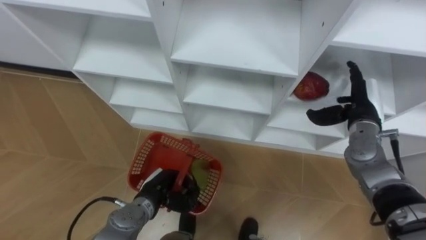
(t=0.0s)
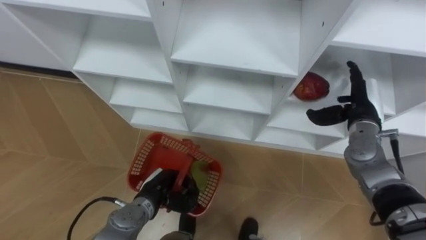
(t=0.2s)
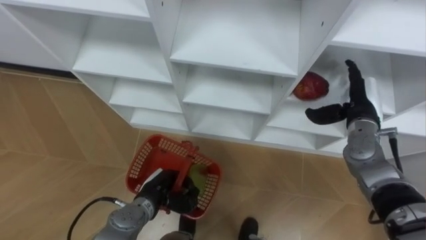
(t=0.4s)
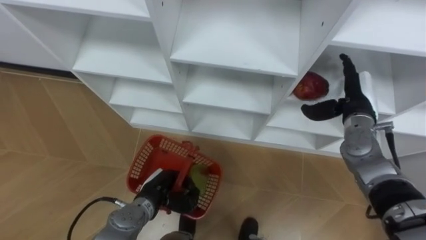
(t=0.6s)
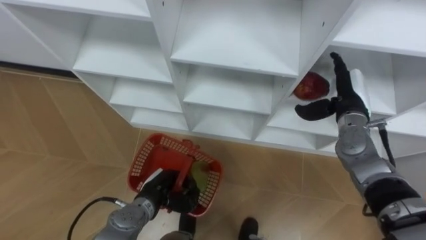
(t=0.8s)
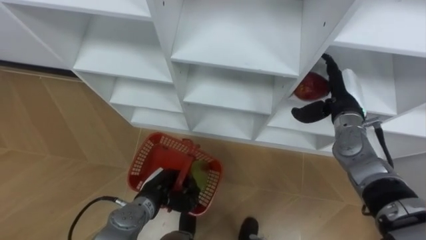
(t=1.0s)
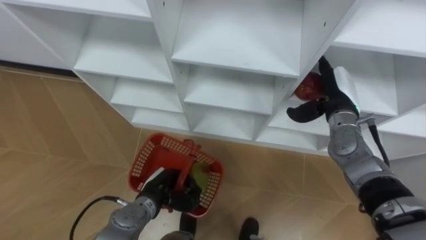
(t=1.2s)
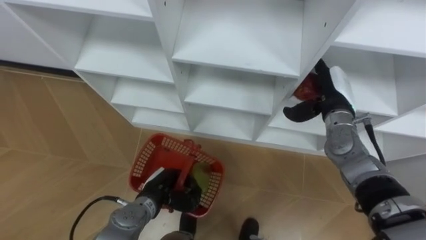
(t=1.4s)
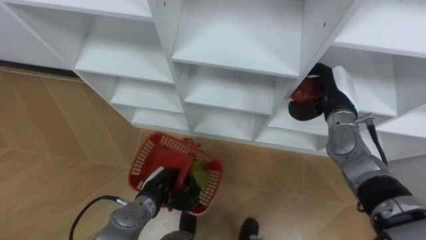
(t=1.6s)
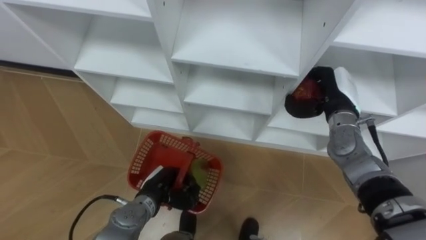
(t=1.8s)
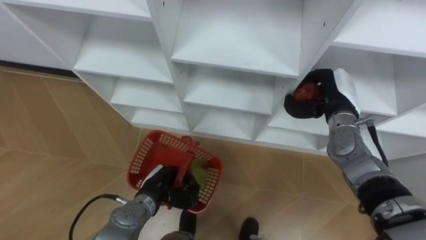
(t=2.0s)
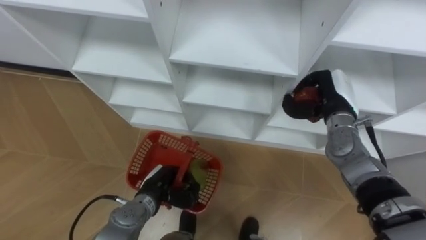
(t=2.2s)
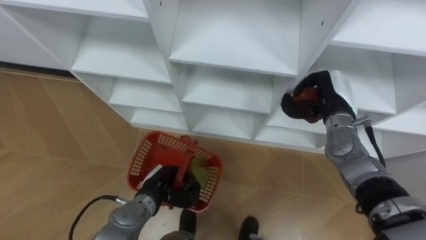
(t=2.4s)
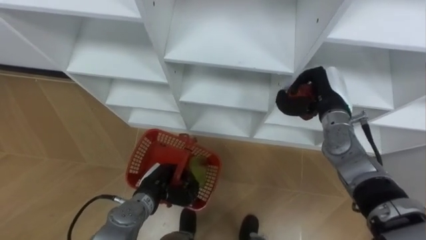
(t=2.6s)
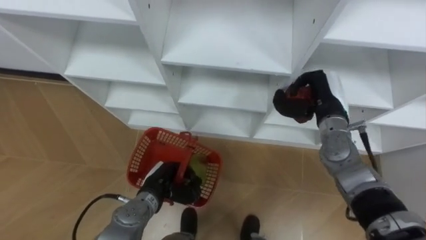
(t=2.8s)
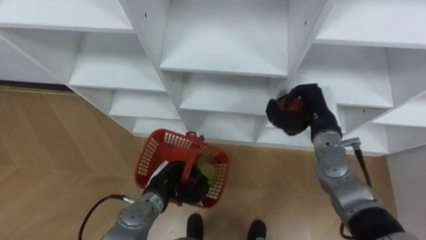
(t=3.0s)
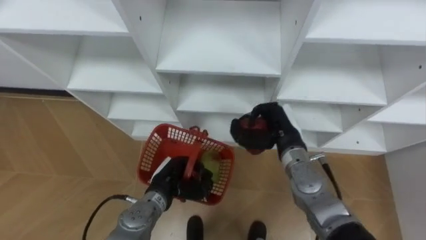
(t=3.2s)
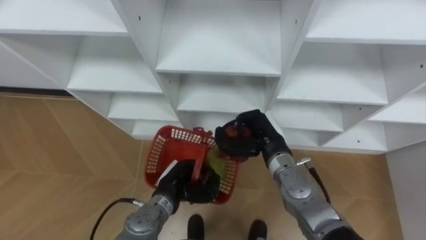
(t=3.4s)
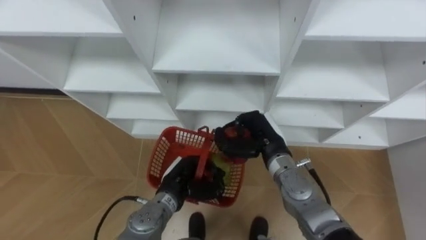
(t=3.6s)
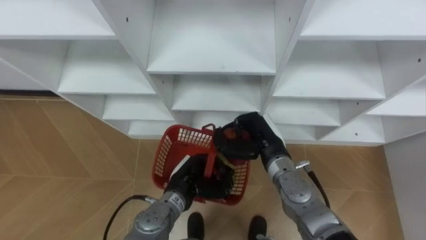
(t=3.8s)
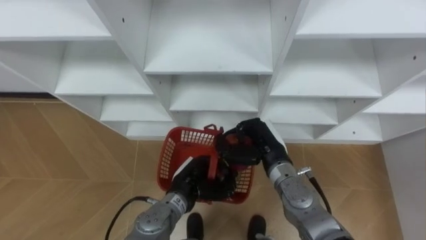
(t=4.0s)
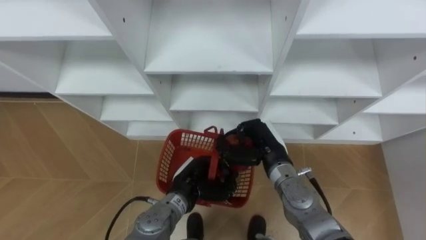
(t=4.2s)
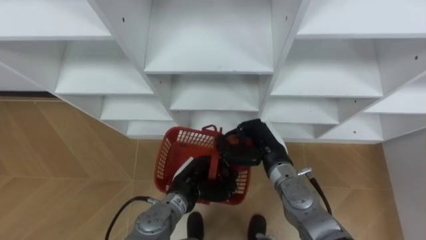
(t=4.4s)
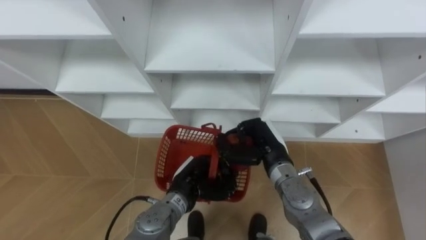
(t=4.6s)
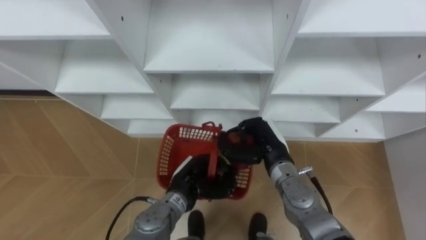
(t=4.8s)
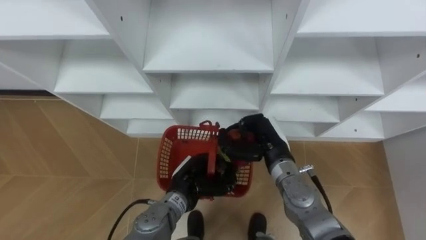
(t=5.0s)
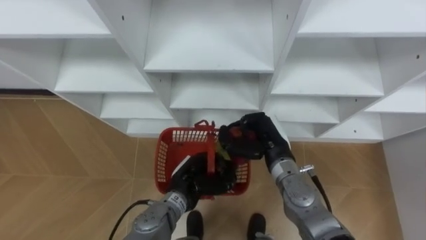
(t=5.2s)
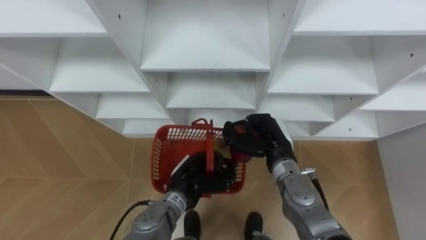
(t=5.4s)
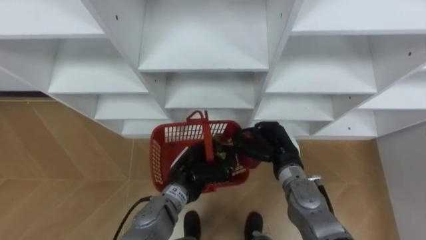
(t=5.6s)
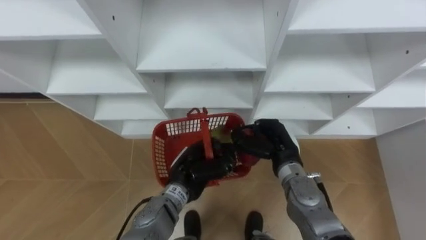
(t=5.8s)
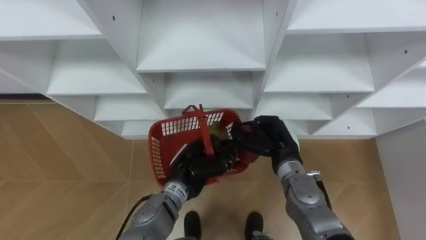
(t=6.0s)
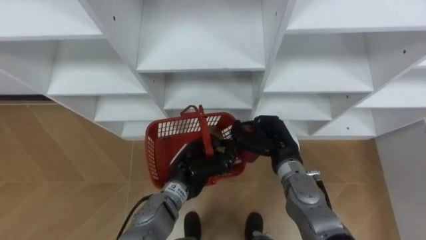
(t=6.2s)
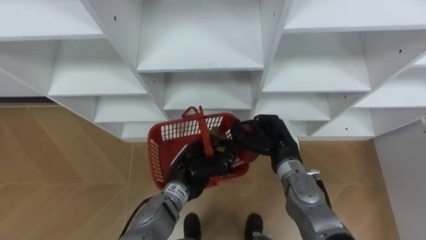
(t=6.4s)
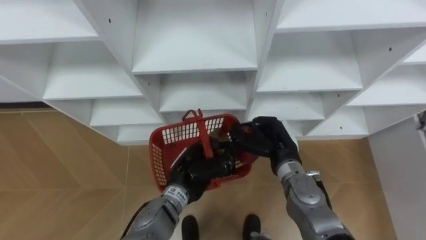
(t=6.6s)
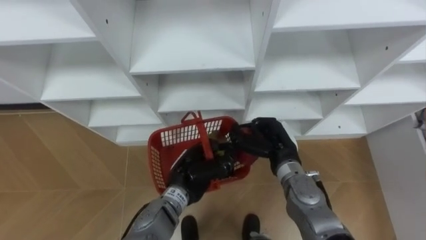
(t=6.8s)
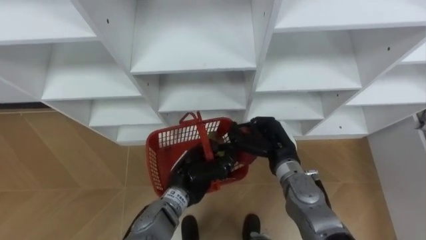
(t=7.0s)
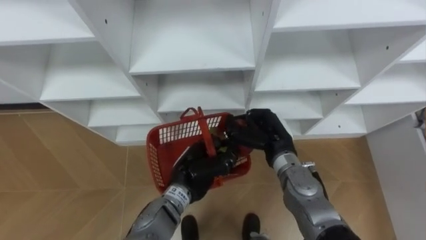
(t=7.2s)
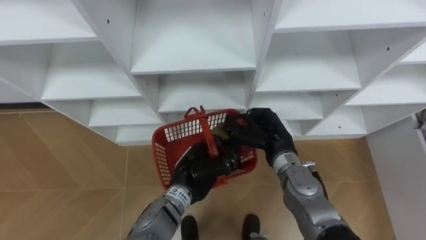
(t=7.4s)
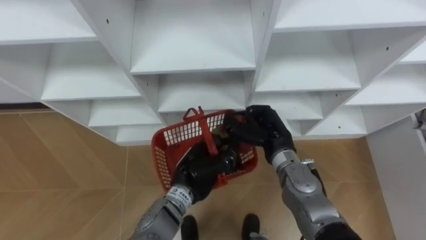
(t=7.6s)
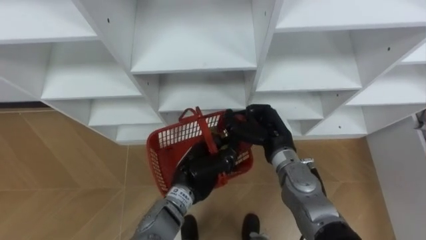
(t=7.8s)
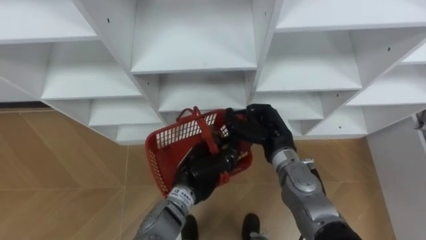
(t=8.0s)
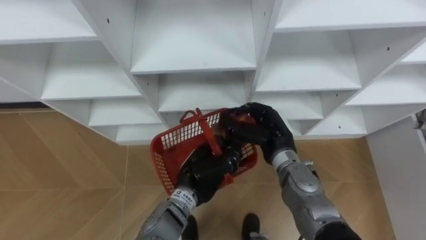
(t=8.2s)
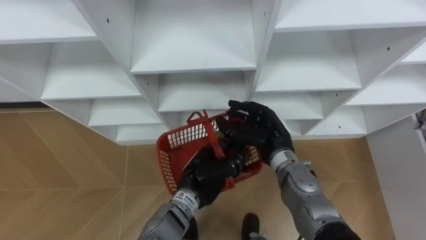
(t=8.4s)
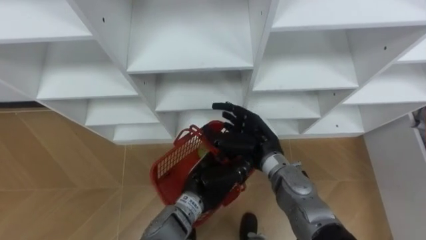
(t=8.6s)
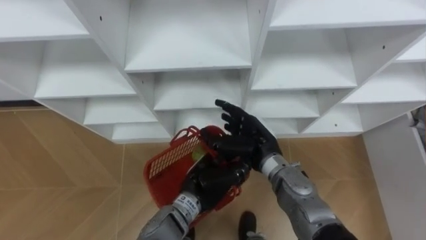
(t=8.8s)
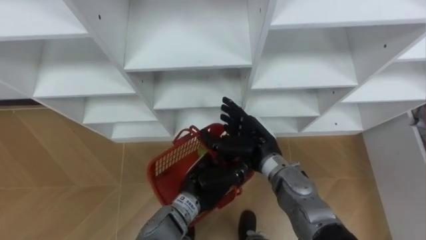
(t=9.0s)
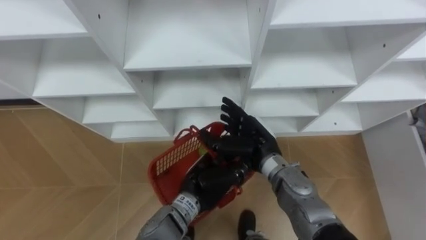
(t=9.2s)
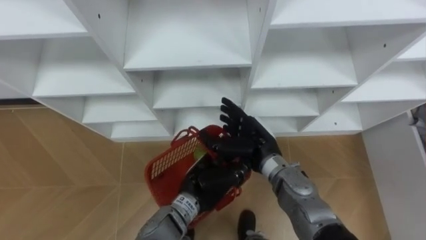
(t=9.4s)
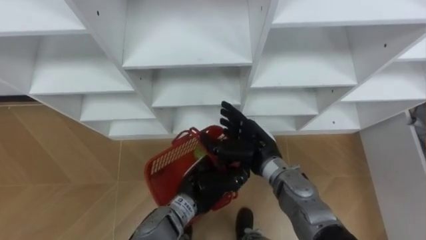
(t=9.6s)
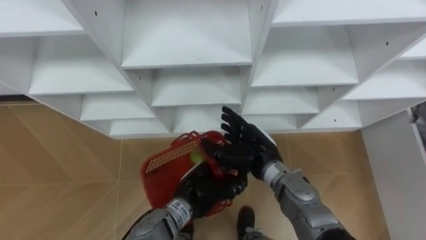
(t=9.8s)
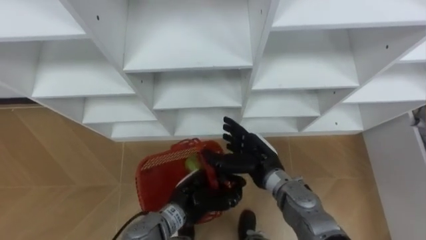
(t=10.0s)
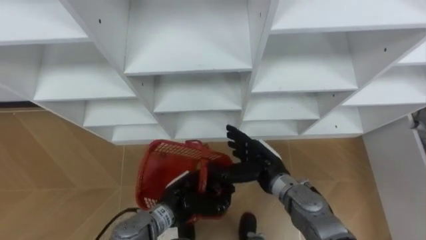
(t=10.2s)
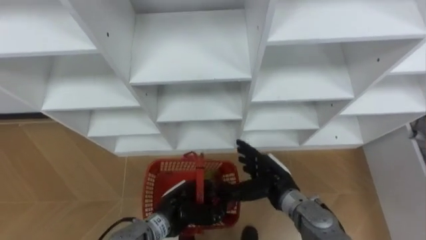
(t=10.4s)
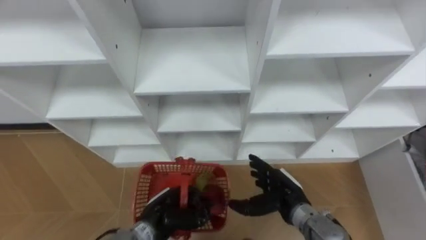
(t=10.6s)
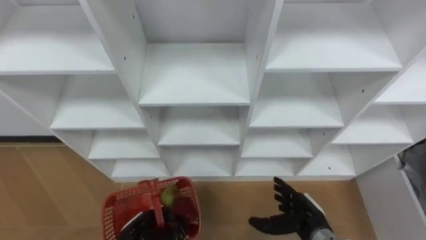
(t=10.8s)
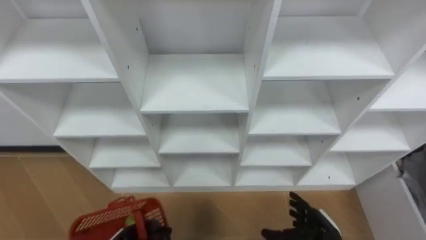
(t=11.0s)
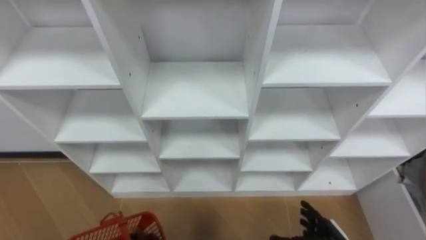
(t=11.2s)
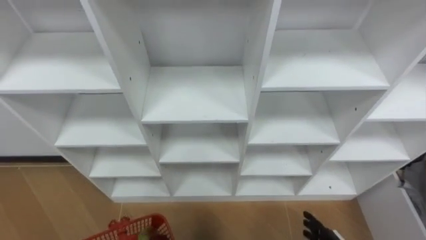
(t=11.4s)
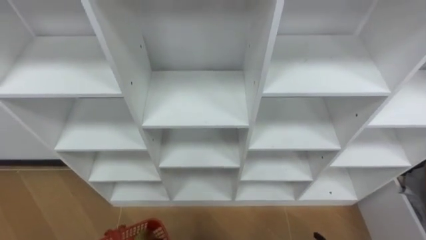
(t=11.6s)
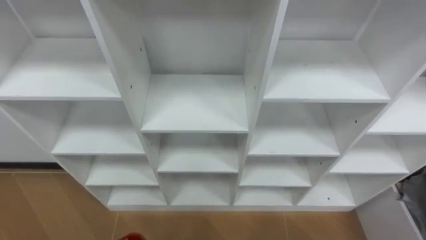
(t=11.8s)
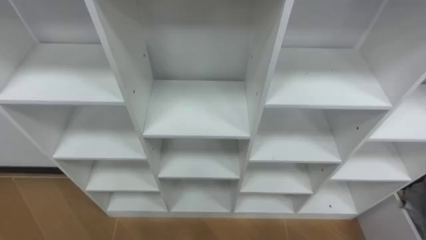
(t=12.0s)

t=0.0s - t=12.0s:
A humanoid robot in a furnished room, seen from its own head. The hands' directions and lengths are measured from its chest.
Task of the whole recording: Hold the basket and collect the fruits from 3 different cells of the closet into it.
t=0.0s - t=1.6s: The right hand travels to the left by some 5 cm.
t=1.6s - t=3.0s: The right hand ends up approximately 5 cm from where it was, and closes up.
t=3.0s - t=4.4s: The right hand shifts approximately 10 cm to the left and backward. Meanwhile the left hand shifts about 5 cm to the right.
t=6.0s - t=7.6s: The hands make only small movements.
t=7.6s - t=9.0s: The right hand opens up.
t=9.0s - t=10.4s: The right hand is displaced downward by some 5 cm, while the left hand shifts about 10 cm downward and to the left.

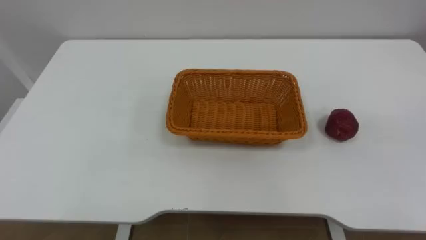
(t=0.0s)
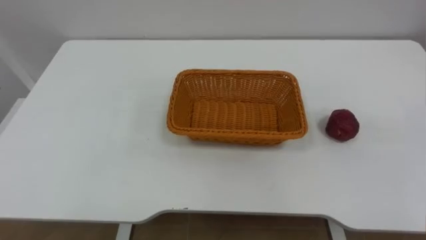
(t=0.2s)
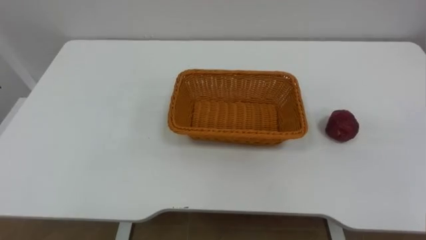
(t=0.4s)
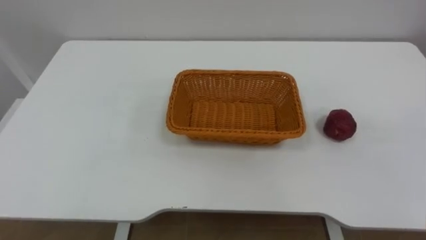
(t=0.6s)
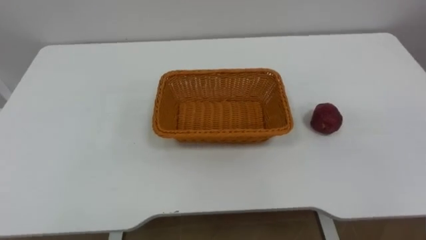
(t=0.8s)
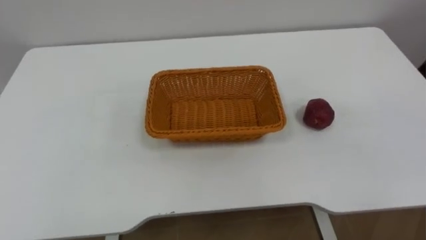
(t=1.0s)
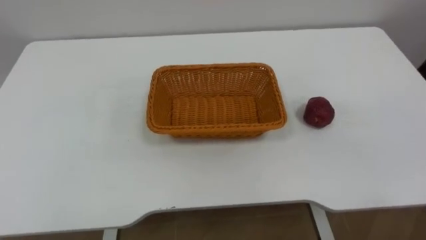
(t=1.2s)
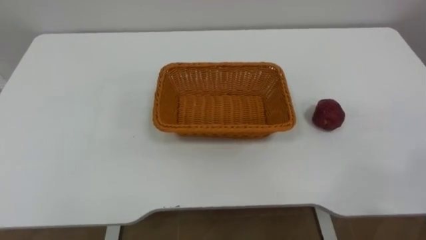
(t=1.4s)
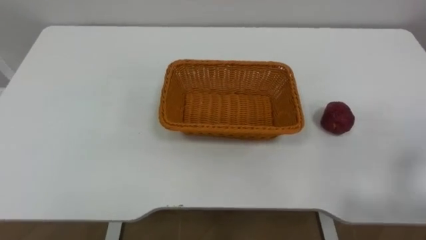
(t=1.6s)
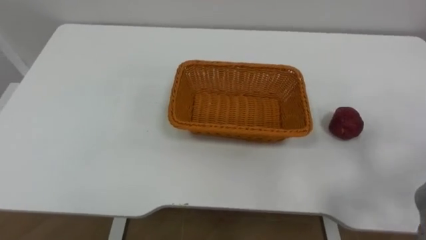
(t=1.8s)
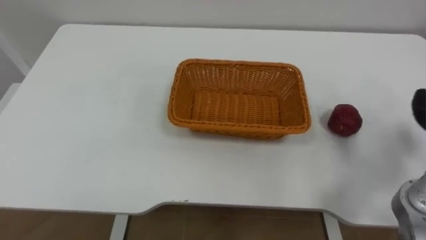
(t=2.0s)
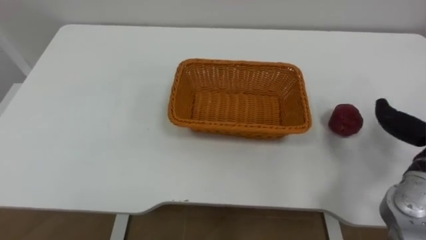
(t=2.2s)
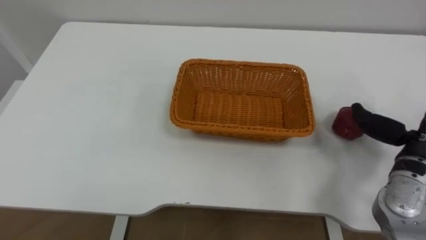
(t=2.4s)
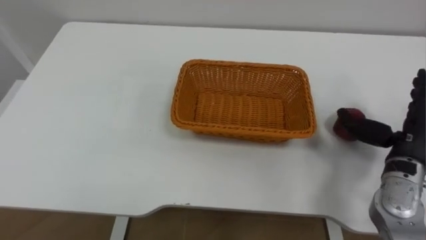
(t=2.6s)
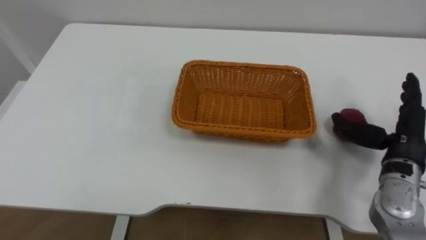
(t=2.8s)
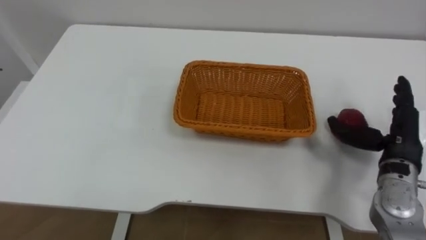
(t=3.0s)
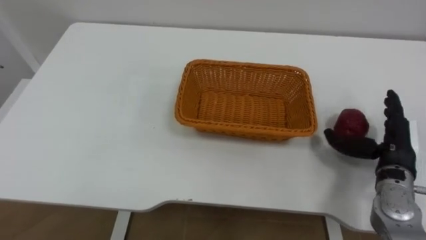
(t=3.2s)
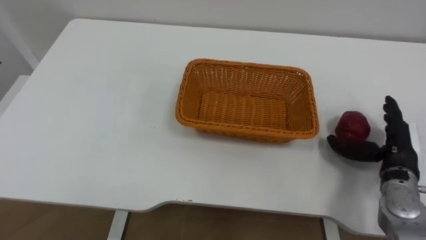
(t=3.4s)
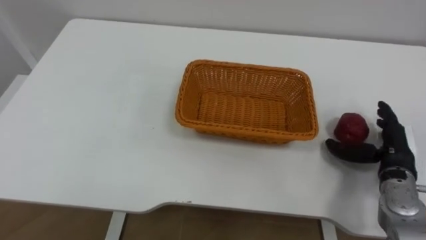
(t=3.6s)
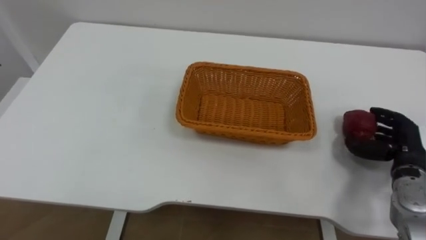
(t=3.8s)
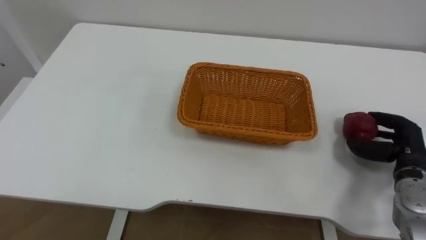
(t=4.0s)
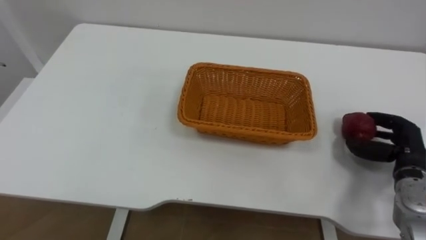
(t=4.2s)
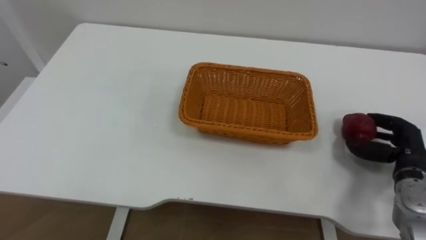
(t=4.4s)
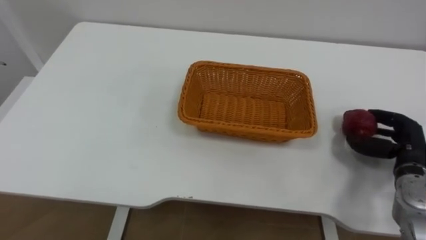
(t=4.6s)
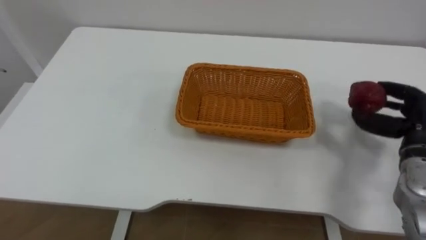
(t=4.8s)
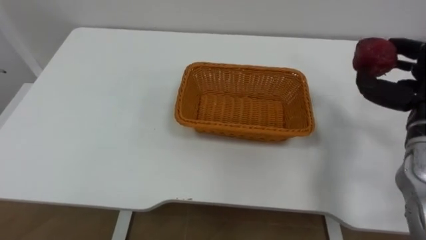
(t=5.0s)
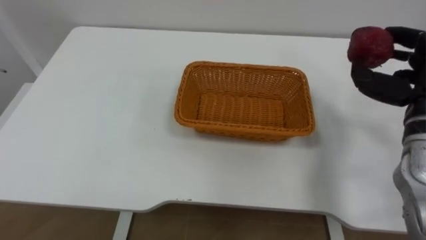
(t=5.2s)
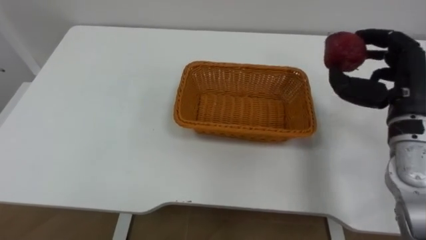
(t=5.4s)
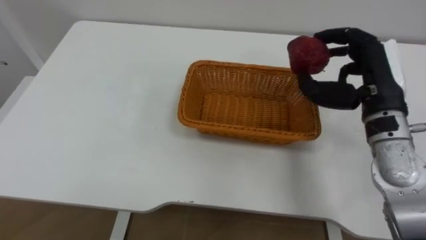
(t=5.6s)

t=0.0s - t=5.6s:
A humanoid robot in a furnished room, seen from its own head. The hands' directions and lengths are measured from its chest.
Task of the whole recording: Pick the apple and place it in the box.
t=2.8s - t=4.2s: The right hand goes approximately 5 cm downward, and closes.
